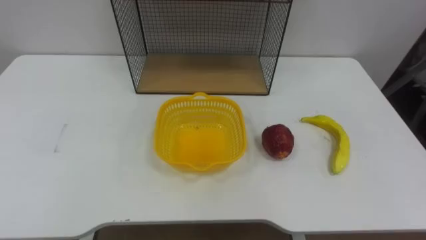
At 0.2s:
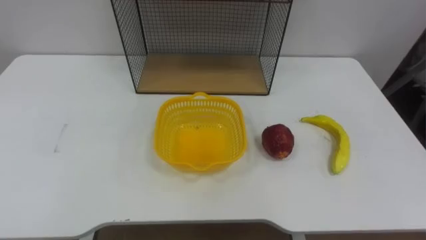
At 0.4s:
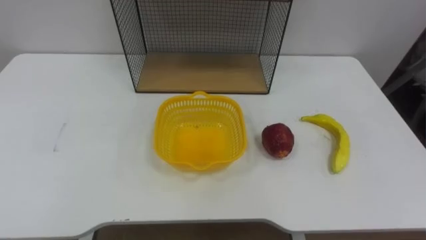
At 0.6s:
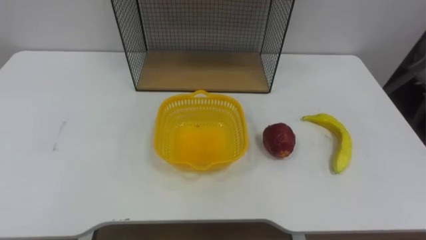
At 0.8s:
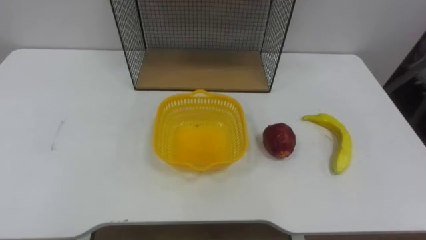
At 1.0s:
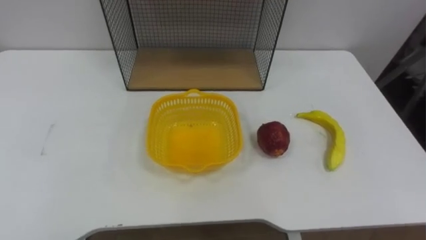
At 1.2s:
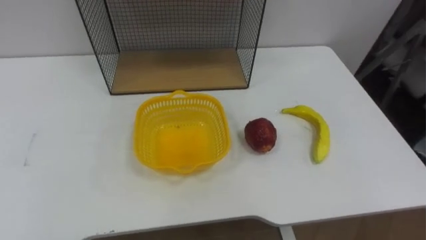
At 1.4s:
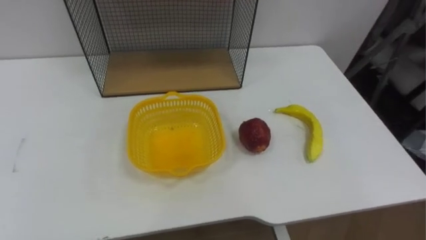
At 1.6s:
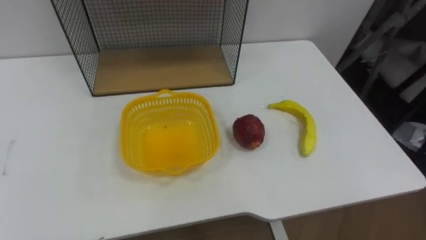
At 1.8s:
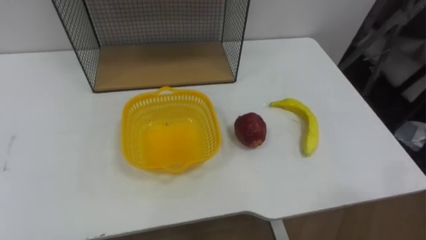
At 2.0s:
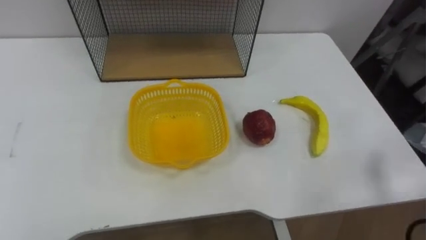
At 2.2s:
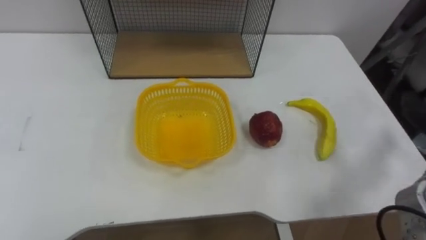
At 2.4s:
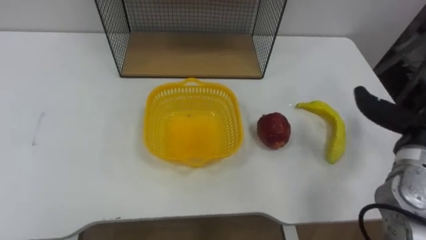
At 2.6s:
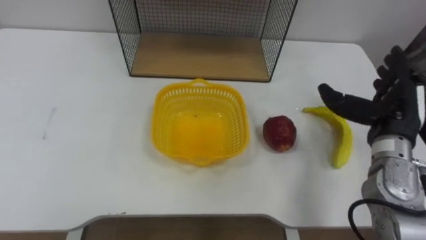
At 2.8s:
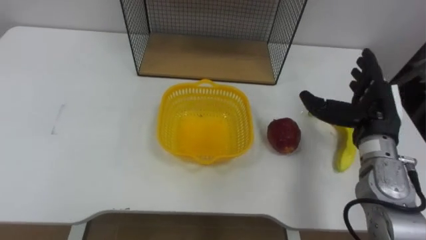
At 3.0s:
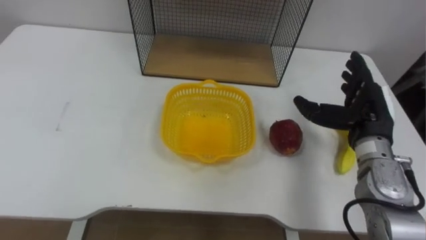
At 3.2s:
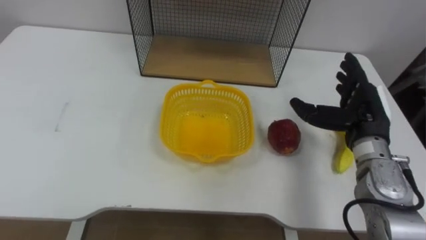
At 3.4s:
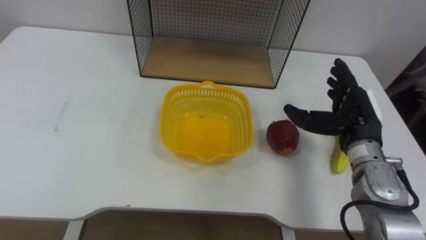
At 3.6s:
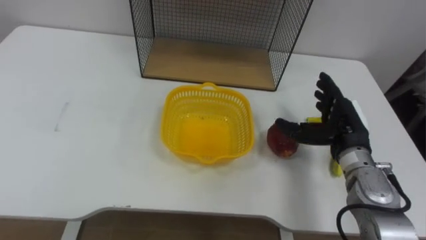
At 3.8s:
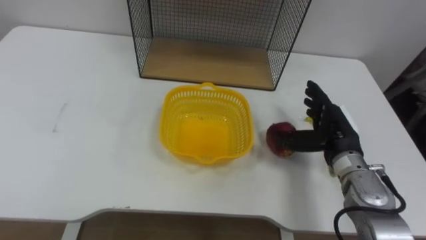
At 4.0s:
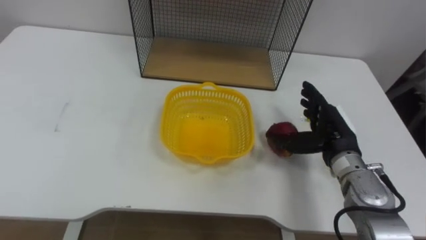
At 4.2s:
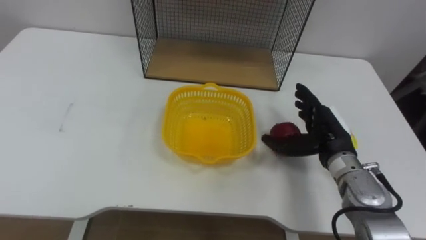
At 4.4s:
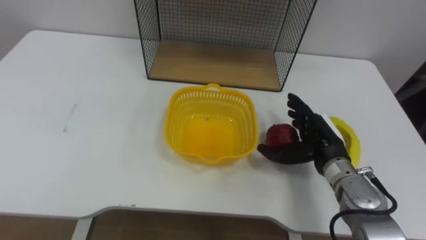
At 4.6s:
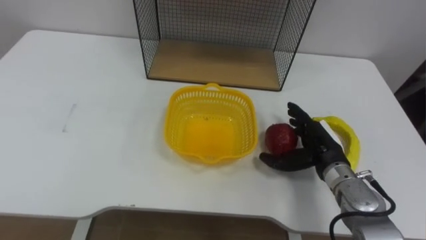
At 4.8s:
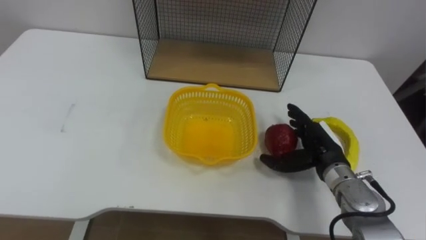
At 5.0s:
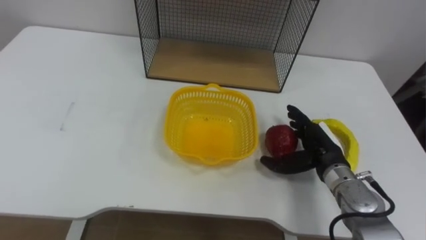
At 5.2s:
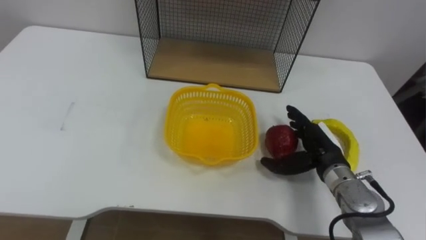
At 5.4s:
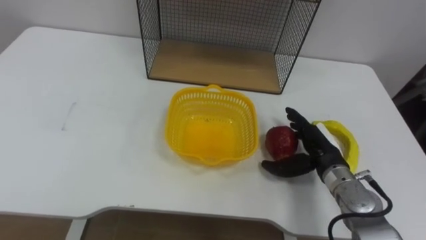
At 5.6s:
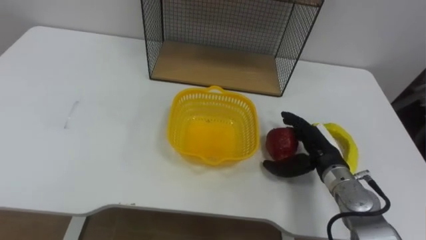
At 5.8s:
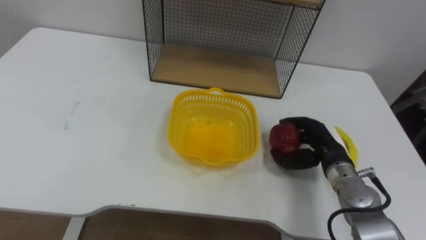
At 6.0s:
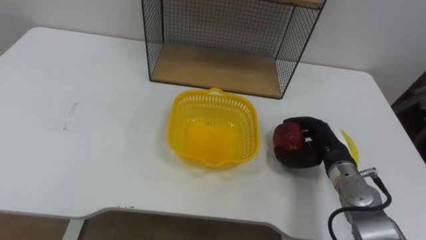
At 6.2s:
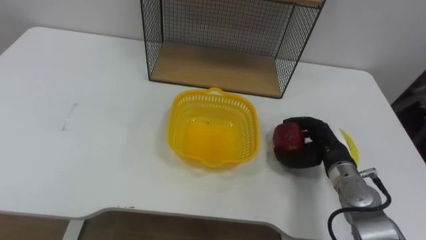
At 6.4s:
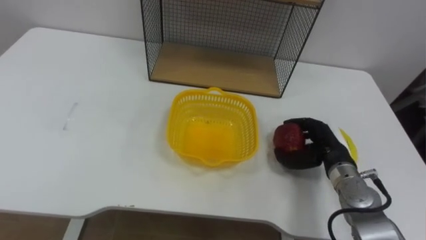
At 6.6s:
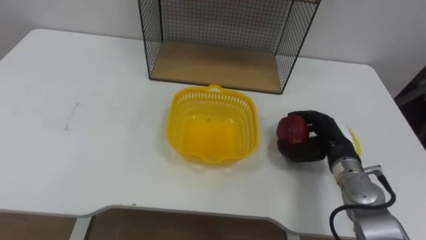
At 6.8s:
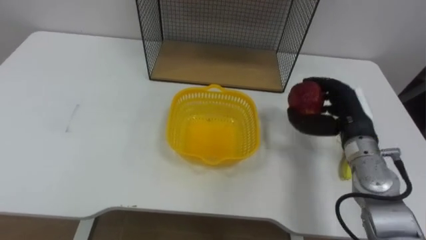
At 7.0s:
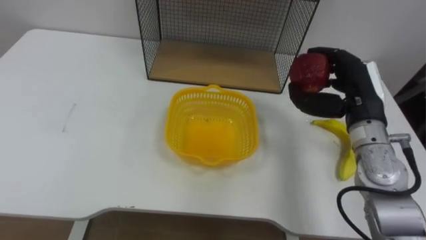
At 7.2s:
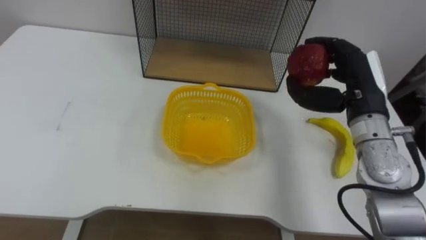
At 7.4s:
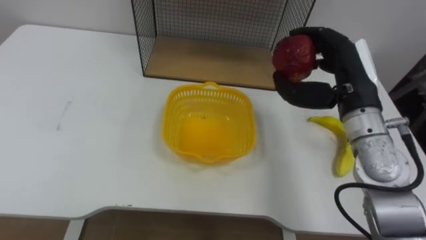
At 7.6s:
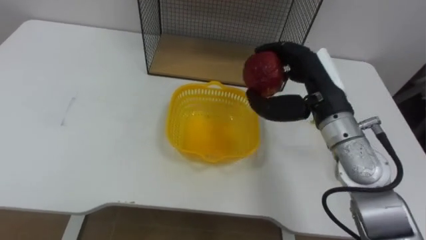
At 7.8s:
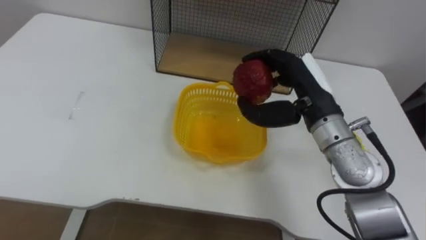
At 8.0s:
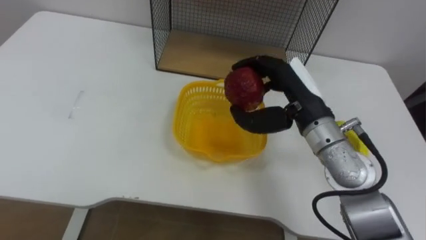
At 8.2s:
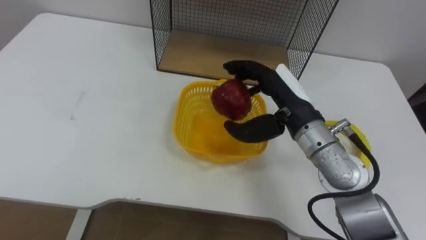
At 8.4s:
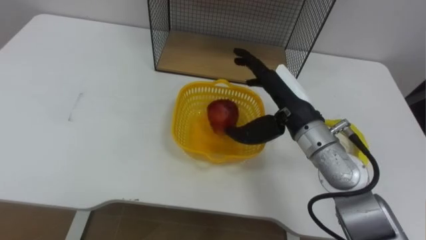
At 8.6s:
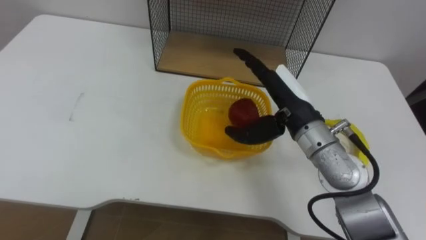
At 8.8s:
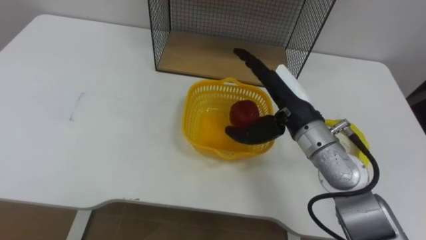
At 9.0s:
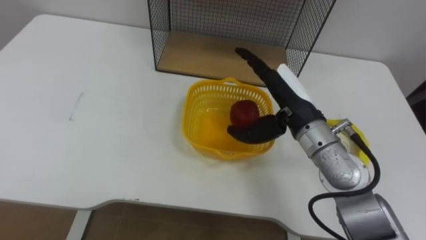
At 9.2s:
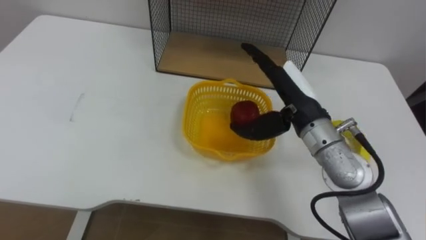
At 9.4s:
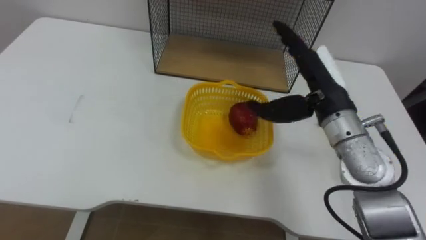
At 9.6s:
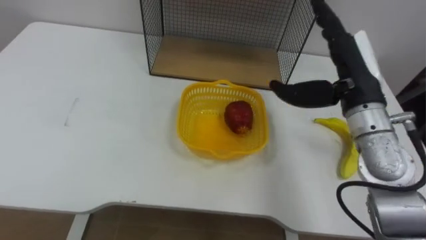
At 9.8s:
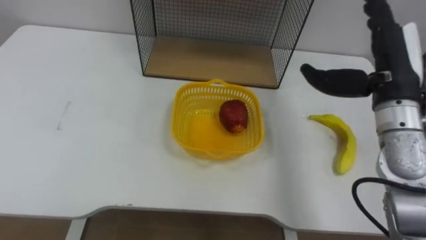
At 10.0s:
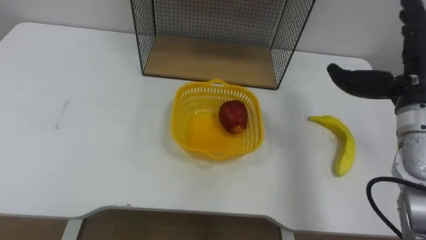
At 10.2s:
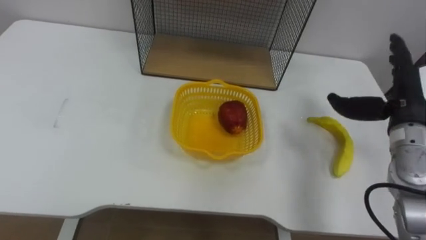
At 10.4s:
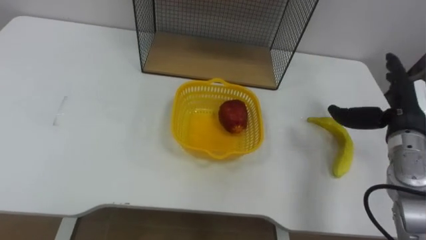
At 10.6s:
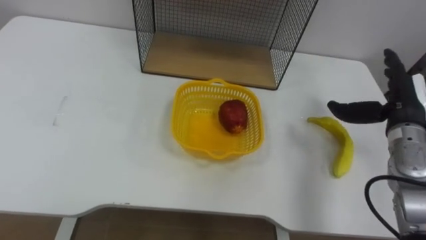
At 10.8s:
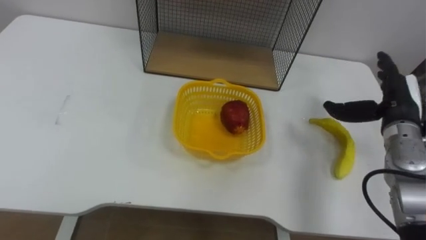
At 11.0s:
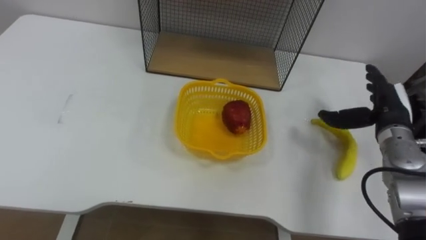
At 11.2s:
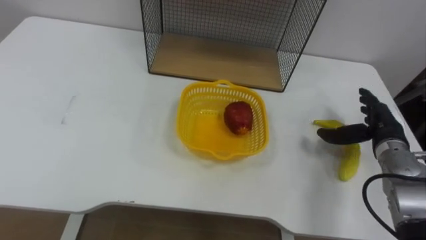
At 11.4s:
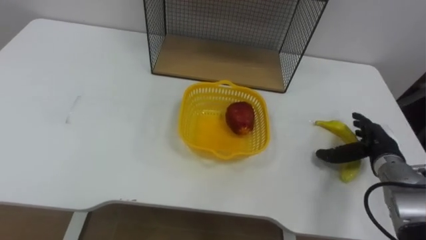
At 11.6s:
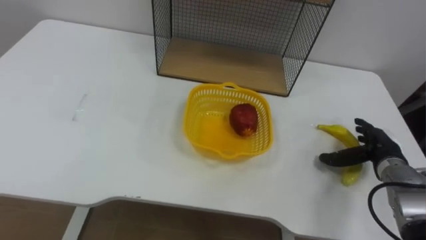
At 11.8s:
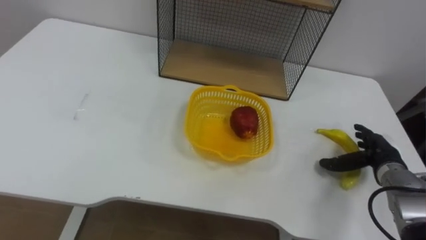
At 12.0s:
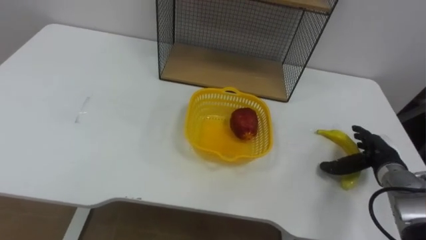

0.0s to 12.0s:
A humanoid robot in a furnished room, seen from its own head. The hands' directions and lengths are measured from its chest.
Task of the whole recording: Put the fruit on the table into the basket, then place the basket on the shelf.
3.0s to 4.4s: The right hand is displaced downward and to the left by some 10 cm.
4.4s to 6.0s: The right hand closes up.
6.0s to 7.6s: The right hand is displaced upward by about 15 cm.
7.6s to 9.0s: The right hand opens.
9.0s to 10.4s: The right hand moves to the right, approximately 20 cm.
10.4s to 12.0s: The right hand heads downward, covering about 15 cm.

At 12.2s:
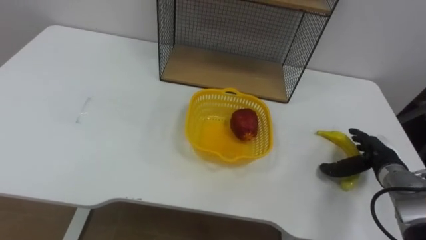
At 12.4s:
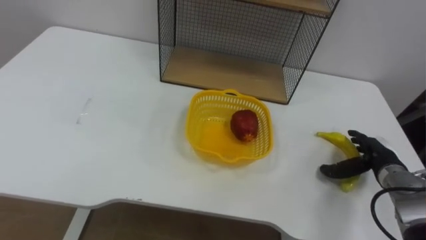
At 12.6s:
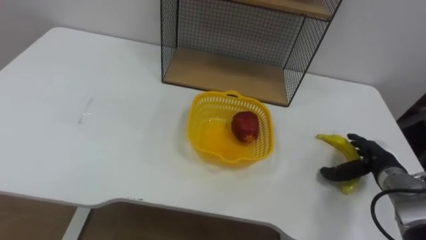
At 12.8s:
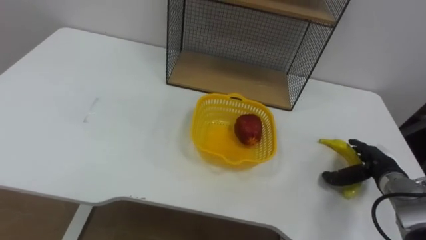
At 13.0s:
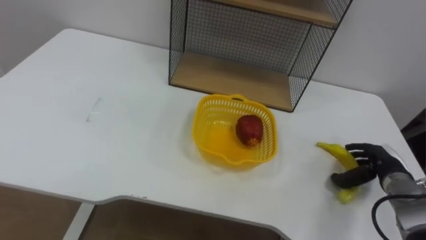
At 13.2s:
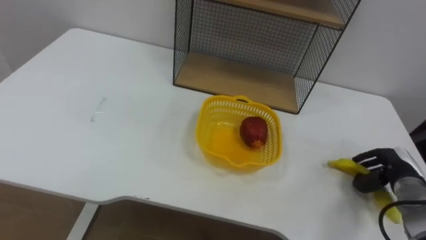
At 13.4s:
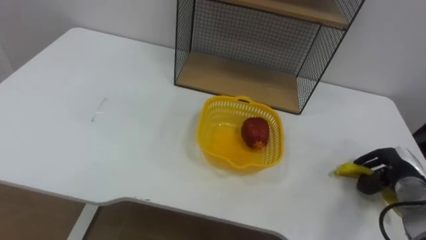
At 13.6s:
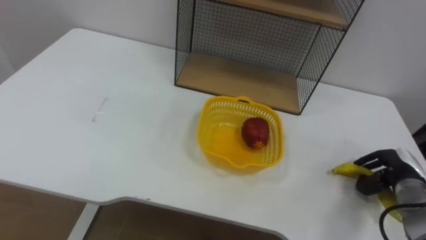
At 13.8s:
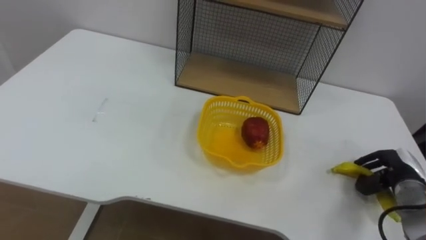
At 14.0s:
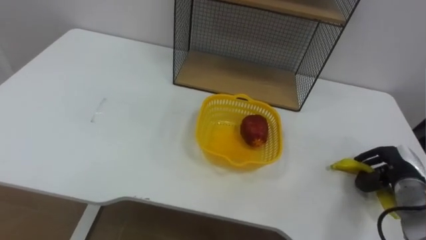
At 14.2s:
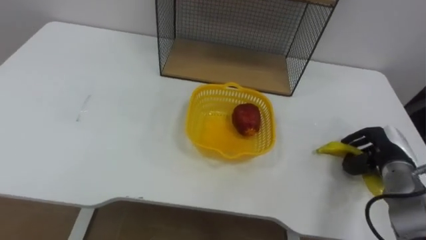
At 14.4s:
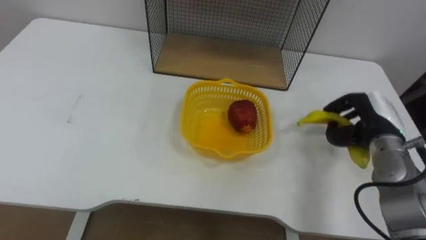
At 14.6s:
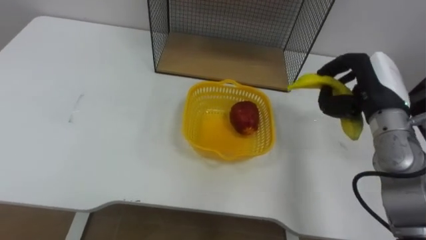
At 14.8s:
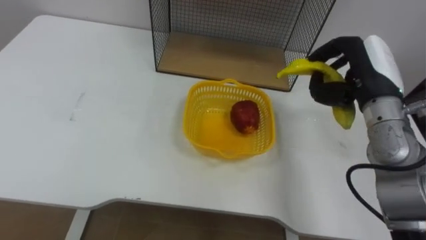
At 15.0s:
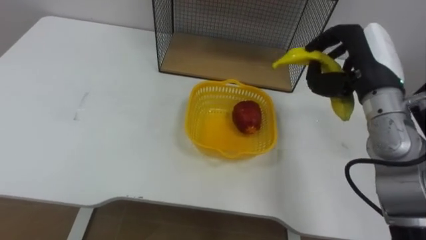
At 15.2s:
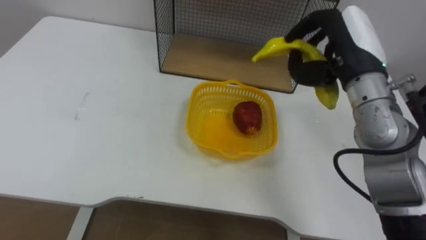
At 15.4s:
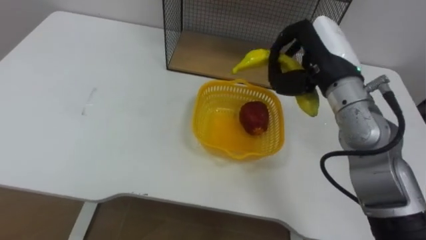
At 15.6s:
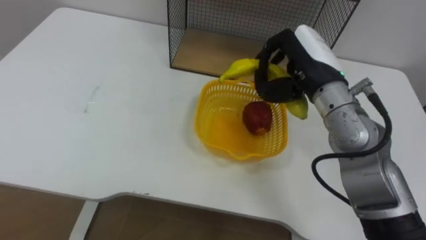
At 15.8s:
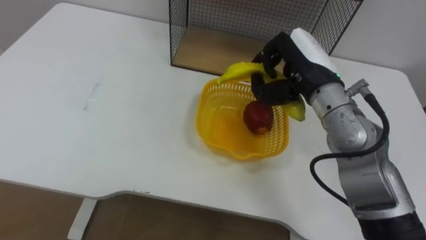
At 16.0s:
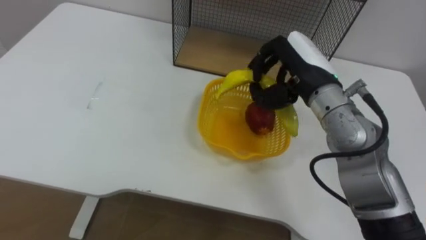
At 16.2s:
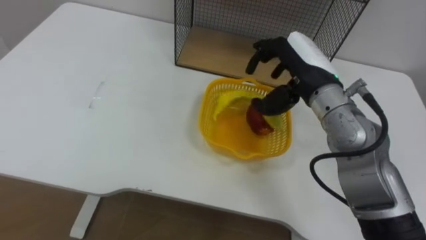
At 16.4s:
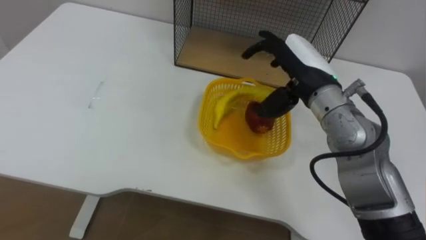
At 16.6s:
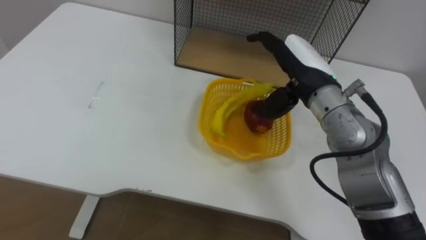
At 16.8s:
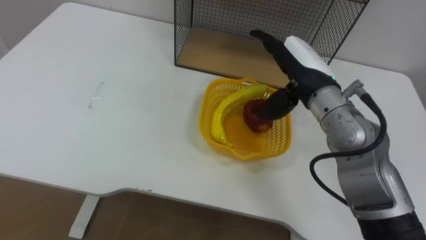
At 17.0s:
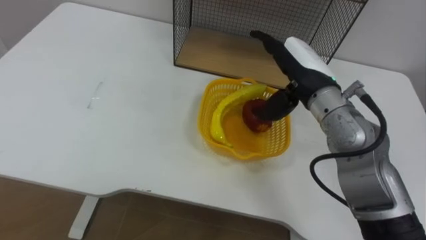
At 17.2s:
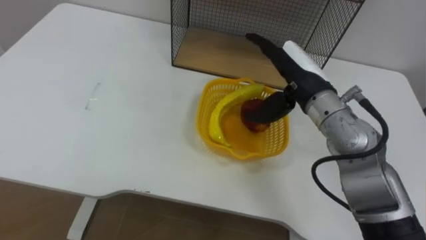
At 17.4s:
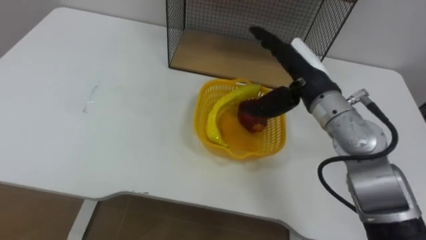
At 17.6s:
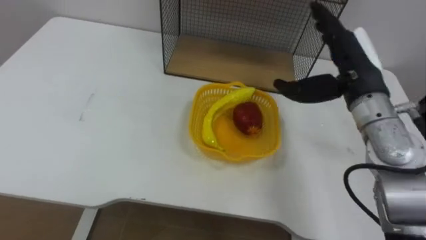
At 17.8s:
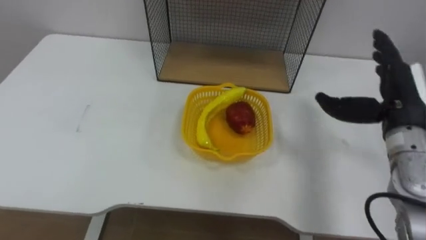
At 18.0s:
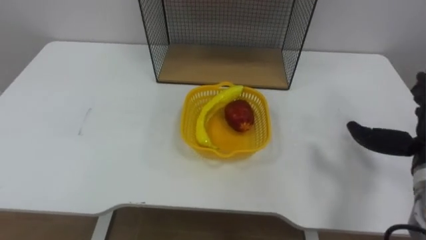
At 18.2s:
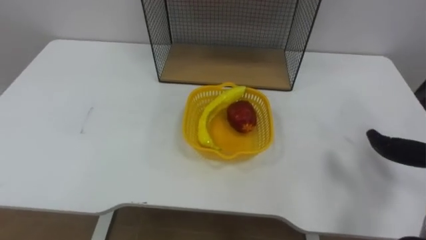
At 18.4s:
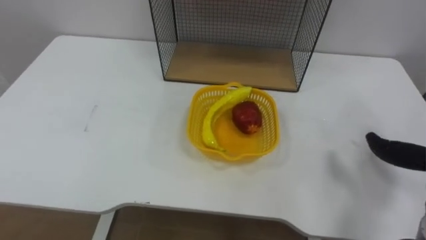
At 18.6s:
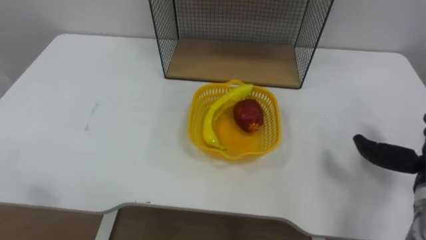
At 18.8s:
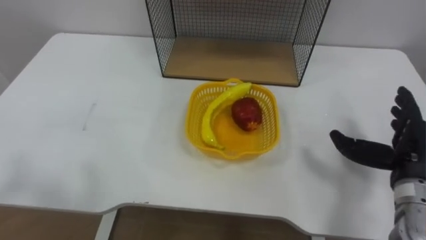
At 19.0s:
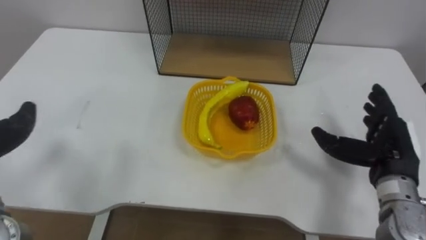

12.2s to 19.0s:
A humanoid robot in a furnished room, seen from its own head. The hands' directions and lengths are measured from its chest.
Task of the whole recording: Put the fruit on the table into the basket, then place the basket on the shelf.
12.2s to 13.6s: The right hand closes.
13.6s to 15.0s: The right hand moves upward and to the left, some 25 cm.
15.0s to 16.2s: The right hand shifts approximately 10 cm to the left, and opens up.
16.2s to 17.6s: The right hand travels to the right by about 5 cm.
